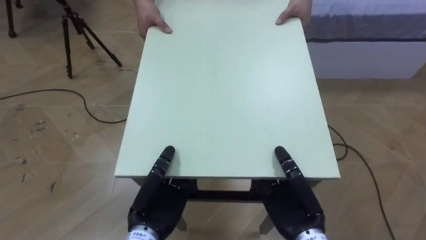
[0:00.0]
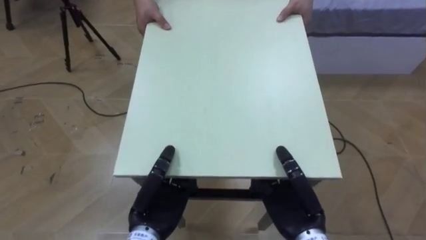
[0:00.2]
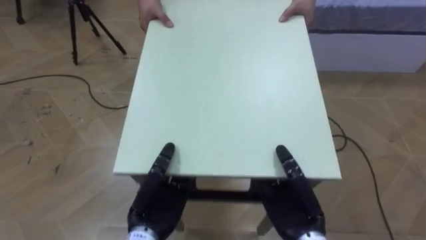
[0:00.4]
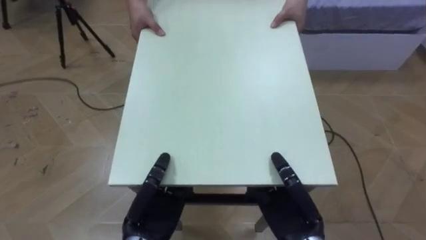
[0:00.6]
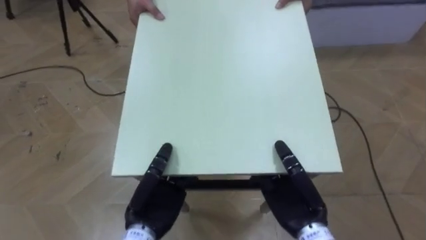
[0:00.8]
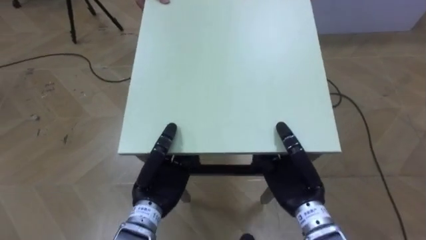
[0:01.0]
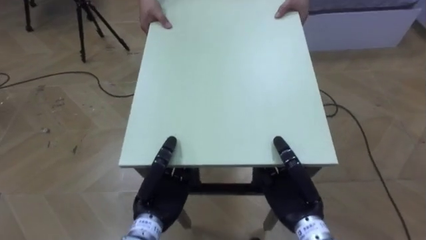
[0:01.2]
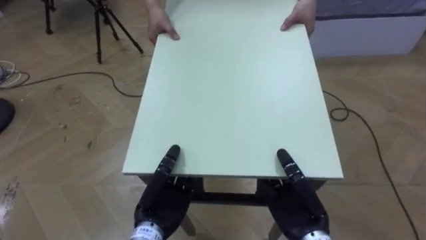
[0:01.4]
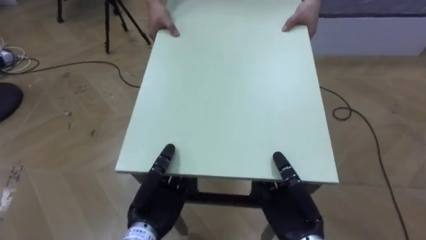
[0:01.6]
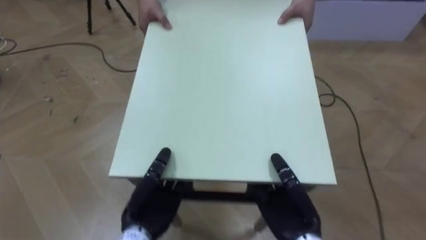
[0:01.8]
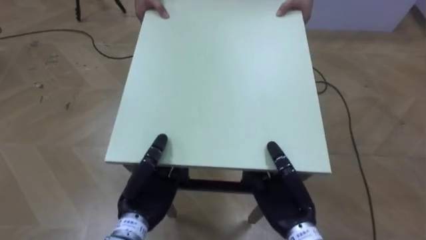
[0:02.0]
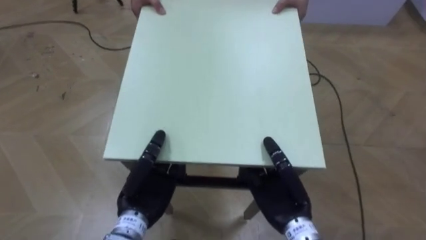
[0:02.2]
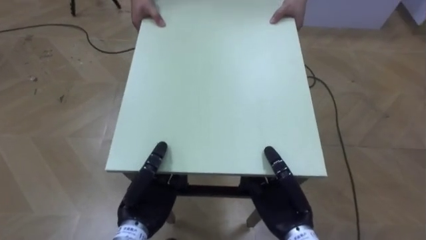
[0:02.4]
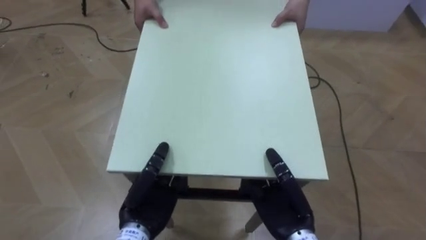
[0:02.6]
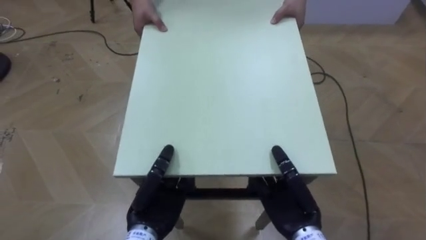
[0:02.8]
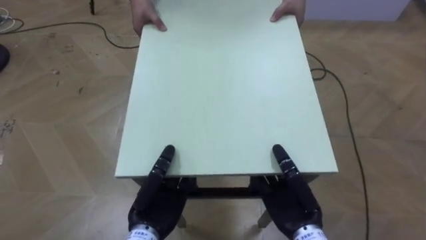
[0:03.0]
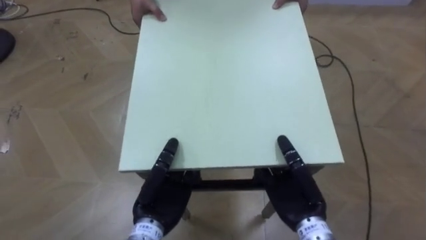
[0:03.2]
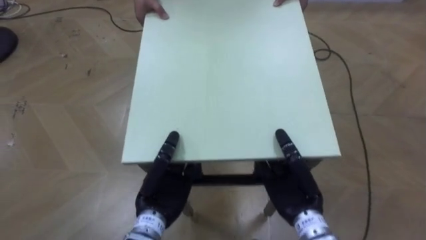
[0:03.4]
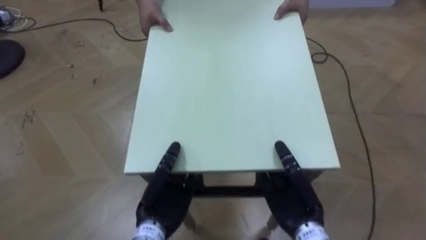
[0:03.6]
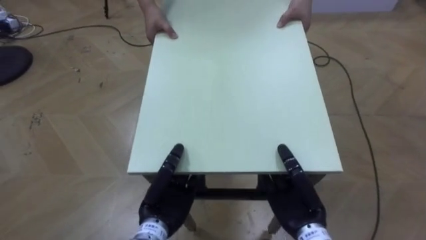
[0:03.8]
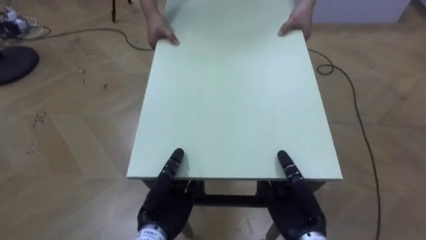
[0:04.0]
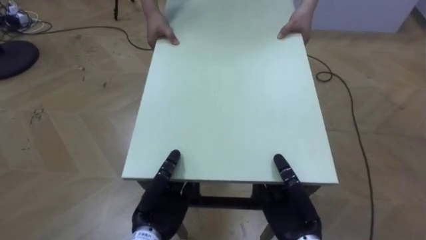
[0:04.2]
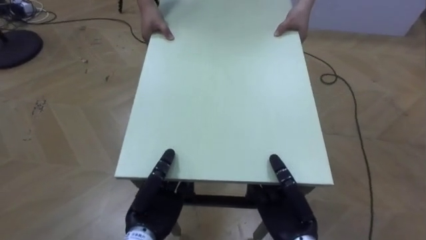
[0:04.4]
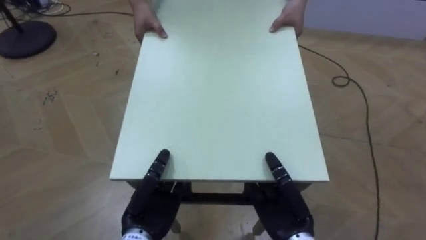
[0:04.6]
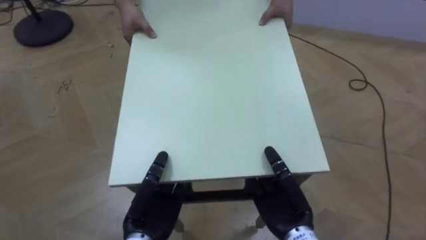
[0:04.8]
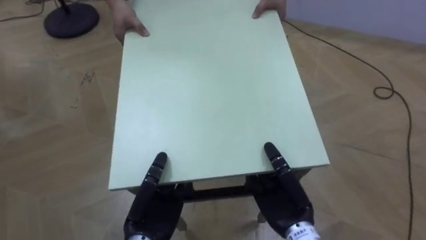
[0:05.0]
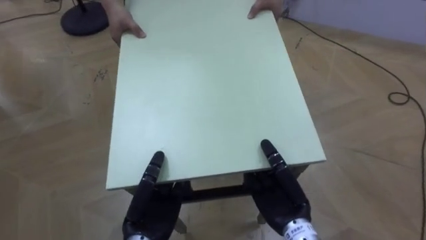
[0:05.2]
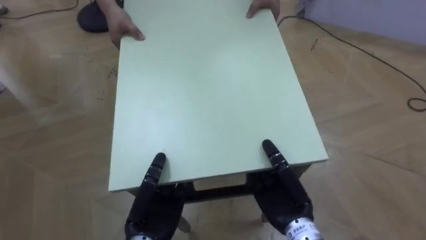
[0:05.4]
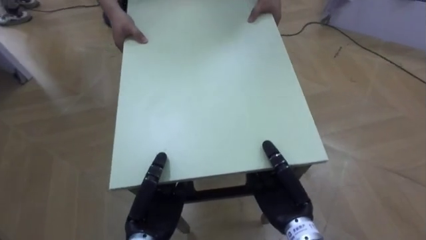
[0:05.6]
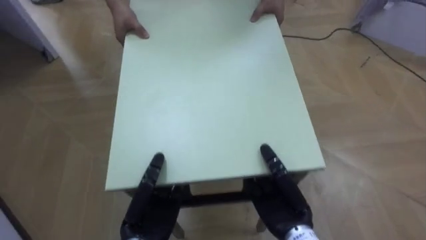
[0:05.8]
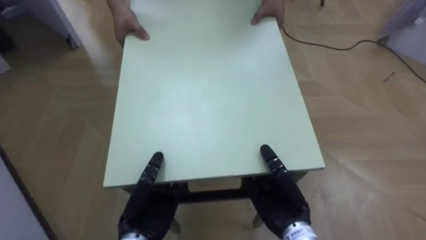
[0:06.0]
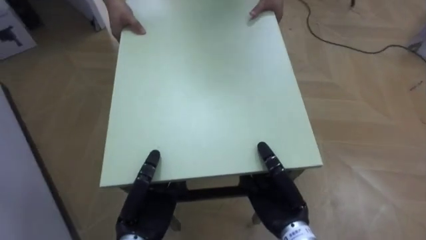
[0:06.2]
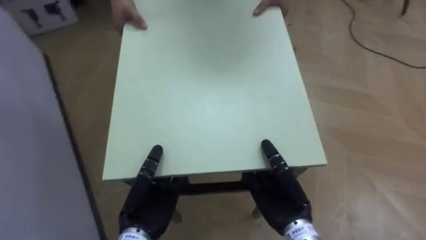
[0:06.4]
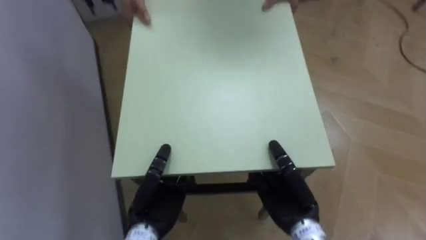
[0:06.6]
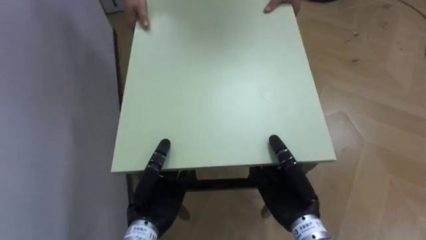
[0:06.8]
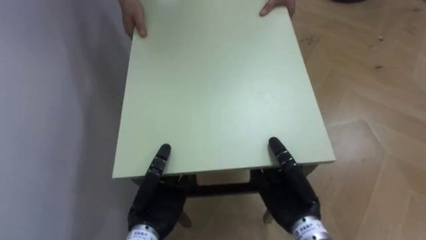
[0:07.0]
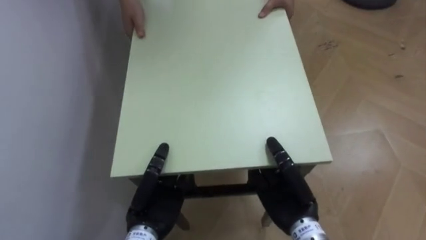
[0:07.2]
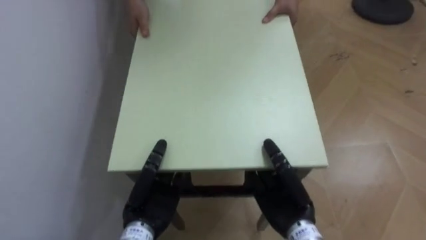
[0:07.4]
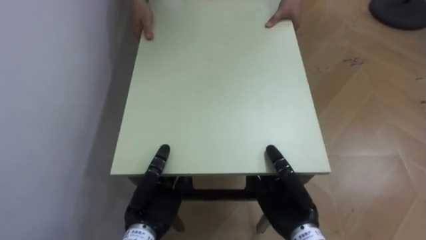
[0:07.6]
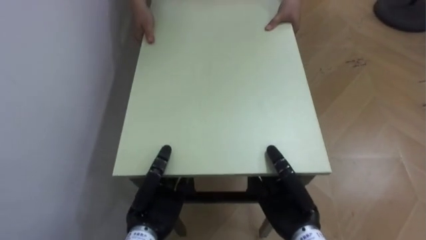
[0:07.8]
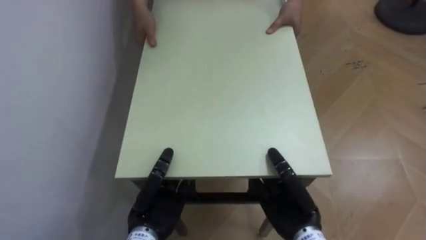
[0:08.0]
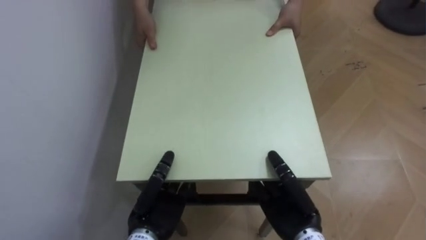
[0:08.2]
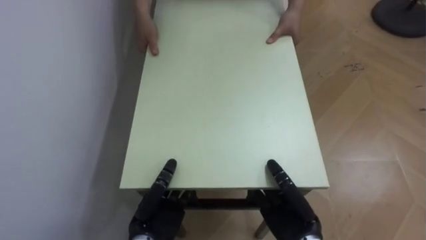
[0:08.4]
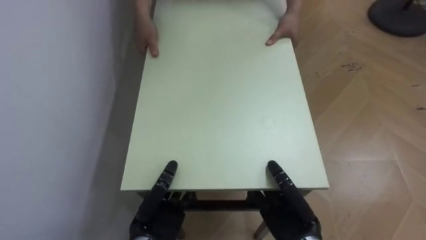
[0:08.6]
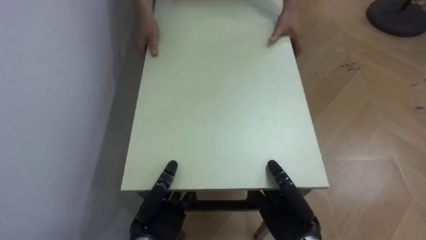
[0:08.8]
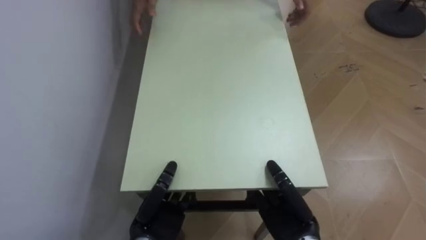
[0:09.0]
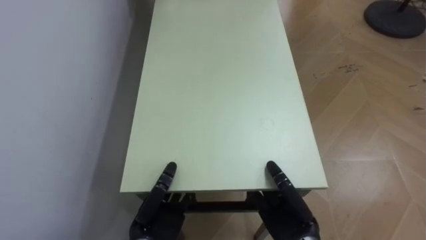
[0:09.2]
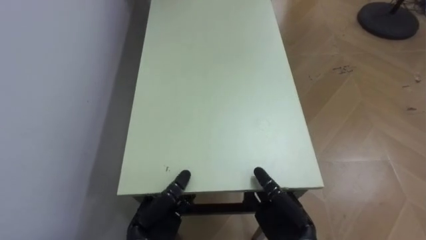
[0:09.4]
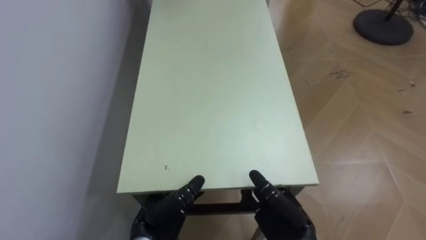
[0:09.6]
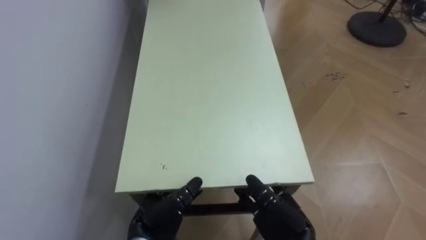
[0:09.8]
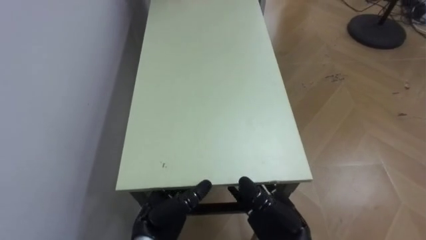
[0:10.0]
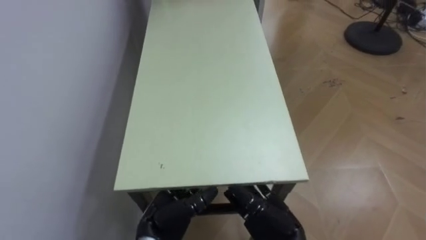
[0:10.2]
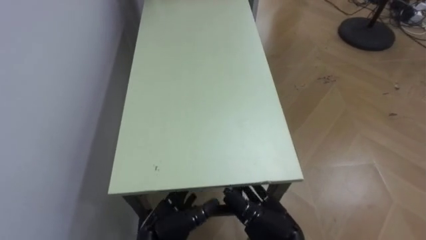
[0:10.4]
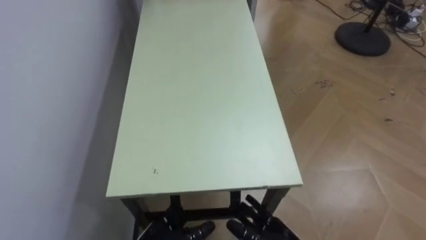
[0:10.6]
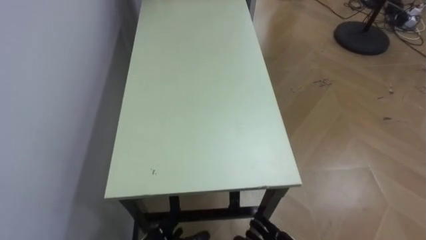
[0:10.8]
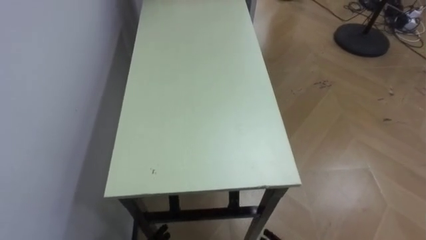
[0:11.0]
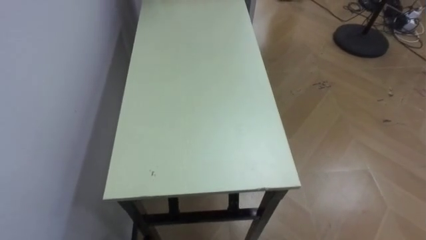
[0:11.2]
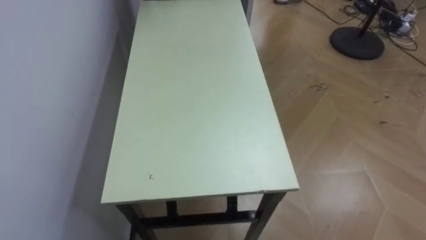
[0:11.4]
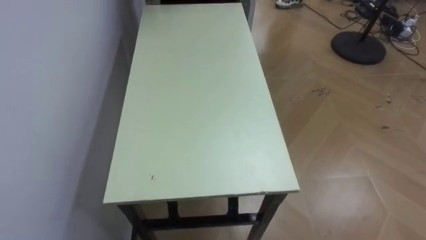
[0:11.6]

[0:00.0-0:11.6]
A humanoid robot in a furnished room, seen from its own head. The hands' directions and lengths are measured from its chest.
Task of the whole recording: Move the table to the back left with someone.
0:04.4 to 0:05.8: The robot's body swings about 30 degrees to its left.
0:05.8 to 0:07.2: The robot faces approximately 45 degrees further to its left.
0:07.2 to 0:08.8: The right hand ends up about 5 cm from where it was.
0:08.8 to 0:10.2: The left hand opens its fingers. Meanwhile the right hand opens.

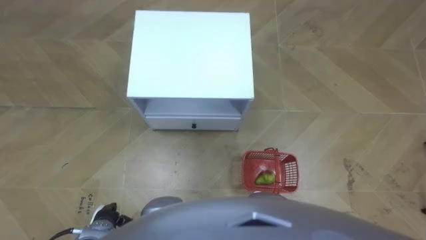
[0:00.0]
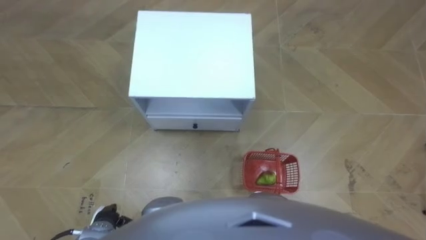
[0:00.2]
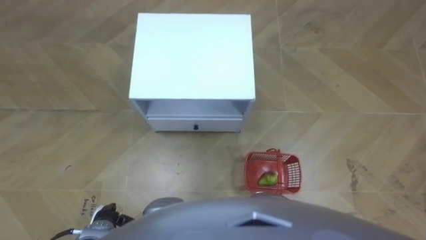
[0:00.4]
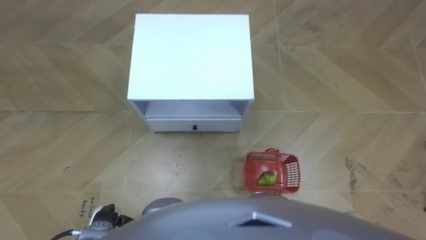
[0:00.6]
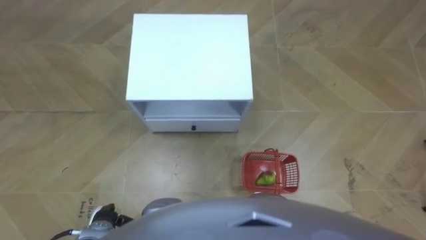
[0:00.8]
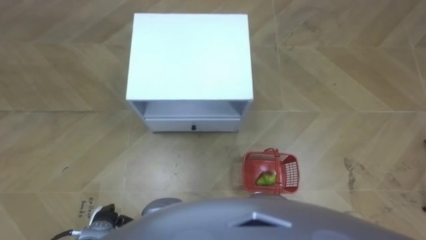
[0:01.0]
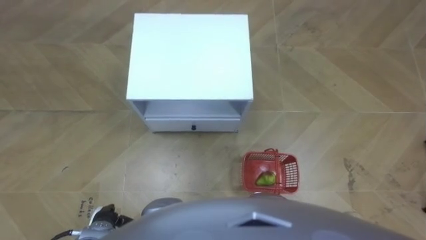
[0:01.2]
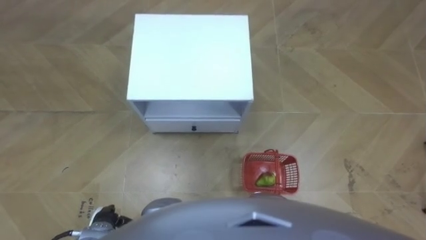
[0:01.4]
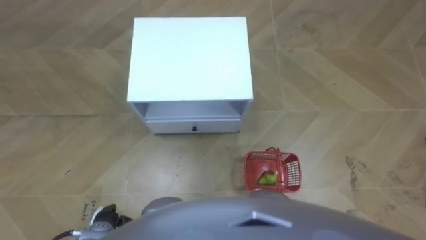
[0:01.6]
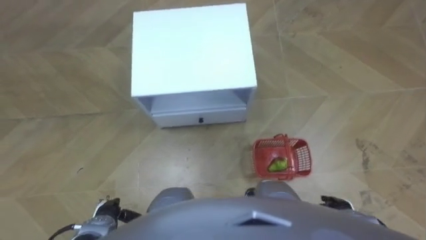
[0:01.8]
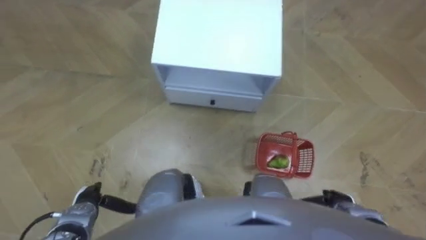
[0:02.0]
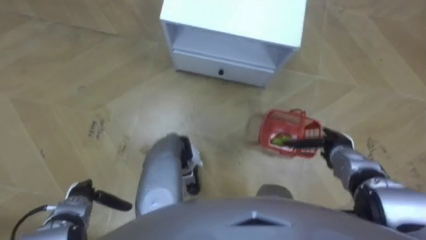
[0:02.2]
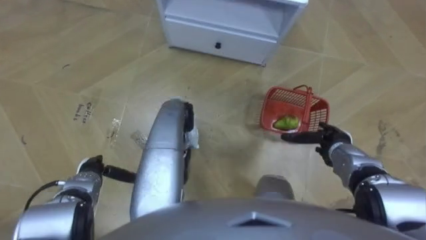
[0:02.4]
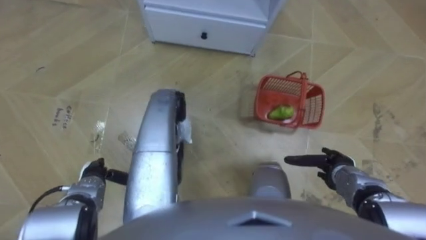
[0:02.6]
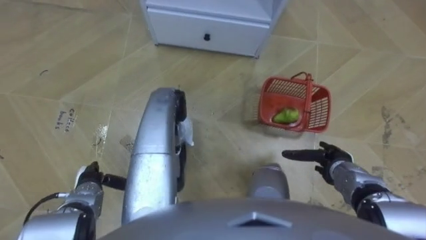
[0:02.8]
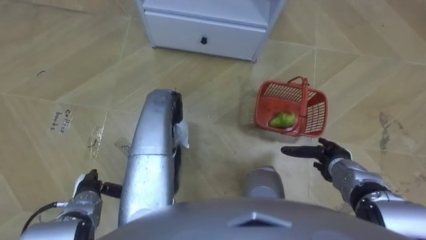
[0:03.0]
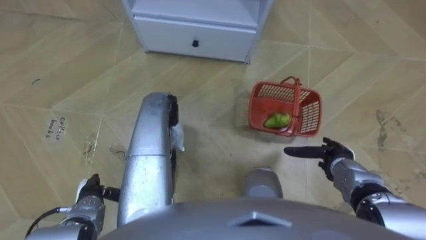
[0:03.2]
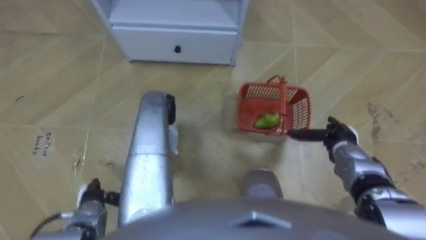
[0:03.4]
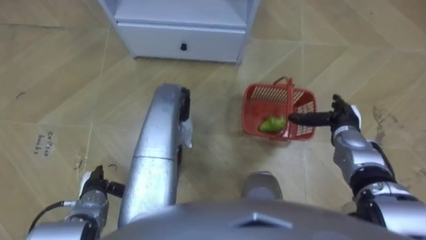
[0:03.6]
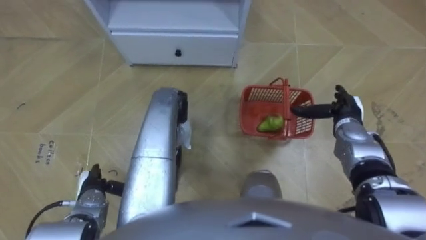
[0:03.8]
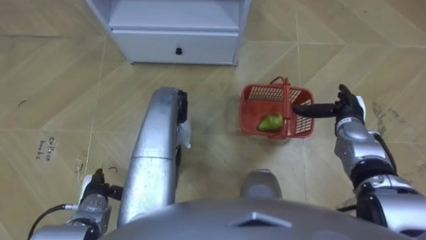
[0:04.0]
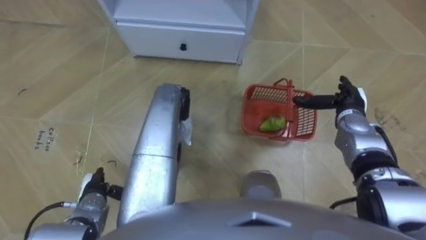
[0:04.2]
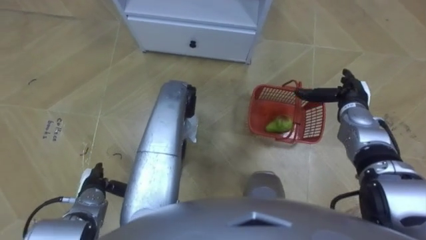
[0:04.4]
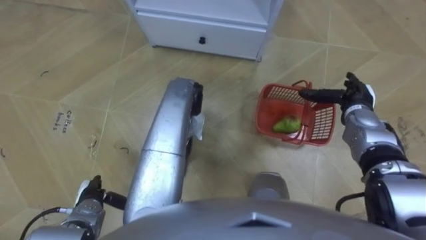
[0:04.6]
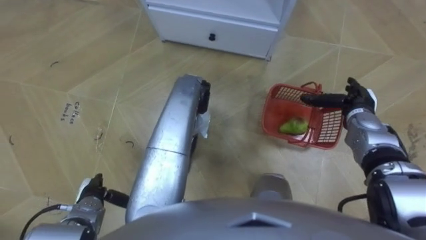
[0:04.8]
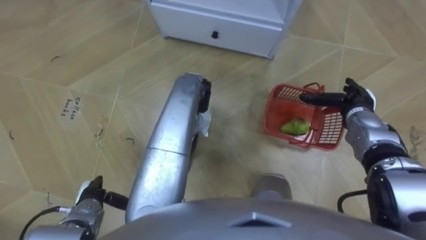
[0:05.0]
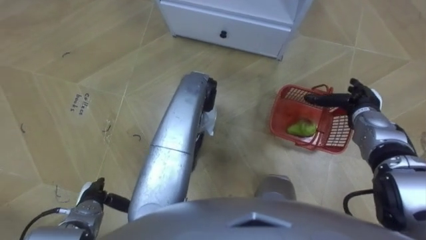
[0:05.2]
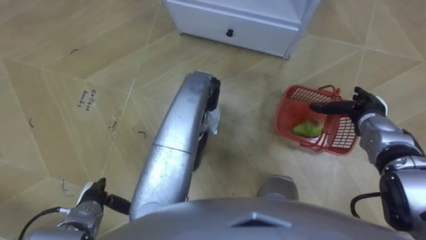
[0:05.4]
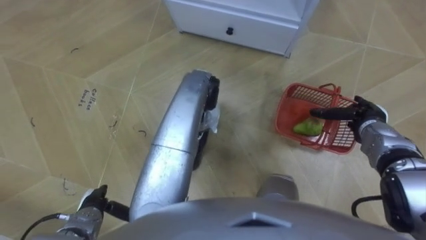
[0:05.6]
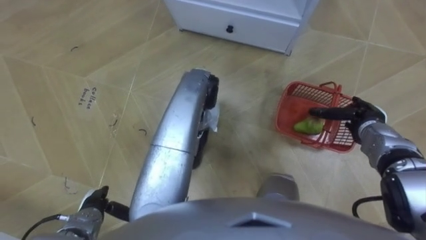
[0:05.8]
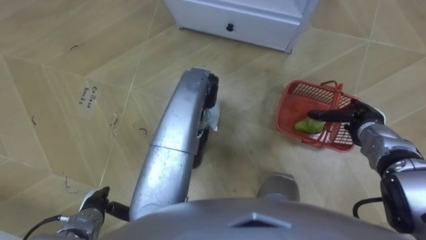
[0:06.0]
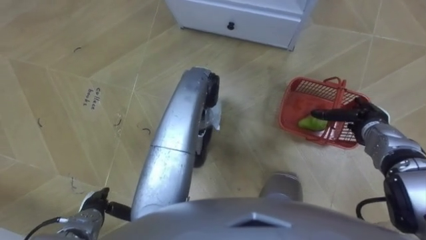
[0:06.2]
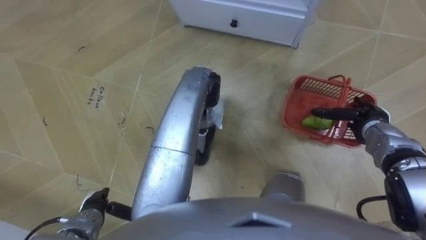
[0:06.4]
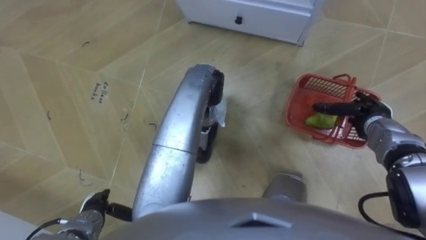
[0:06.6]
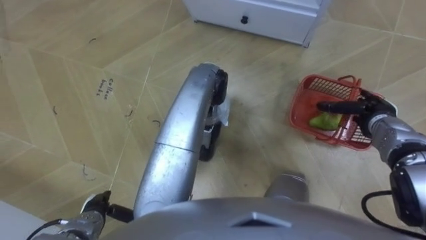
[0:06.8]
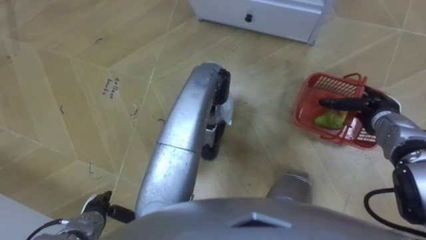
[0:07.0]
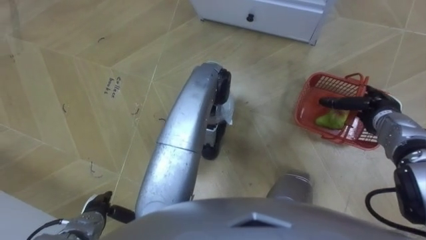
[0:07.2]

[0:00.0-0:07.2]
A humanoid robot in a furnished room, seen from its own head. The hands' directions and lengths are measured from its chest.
Task of the whole recording: Pick up the fruit basket from the floor and place it on the cabinet.
0:01.4 to 0:02.8: The right hand is displaced forward by roughly 15 cm. Meanwhile the left hand moves forward, some 10 cm.
0:02.8 to 0:04.4: The right hand goes about 15 cm forward and upward.
0:04.4 to 0:05.8: The right hand changes place by approximately 5 cm.
